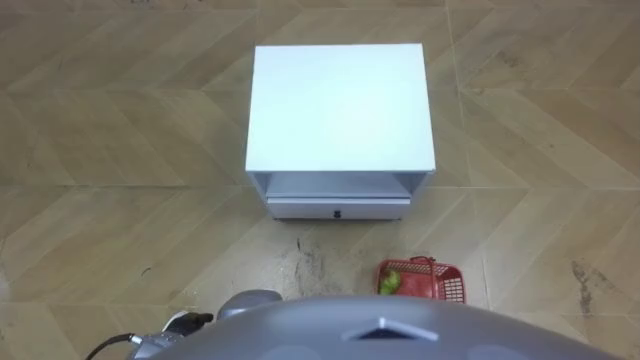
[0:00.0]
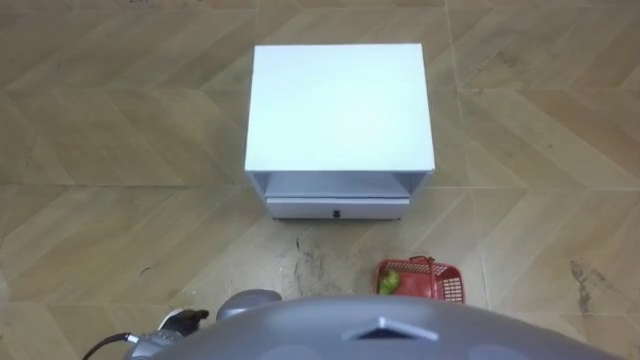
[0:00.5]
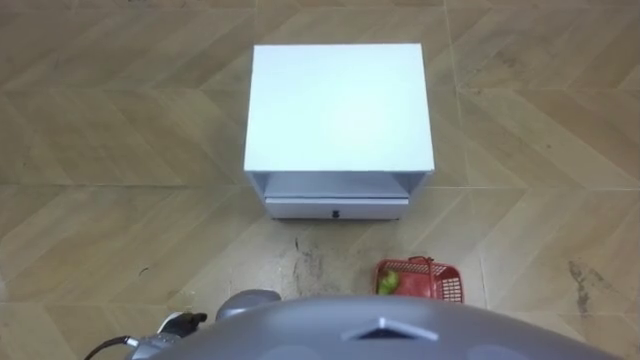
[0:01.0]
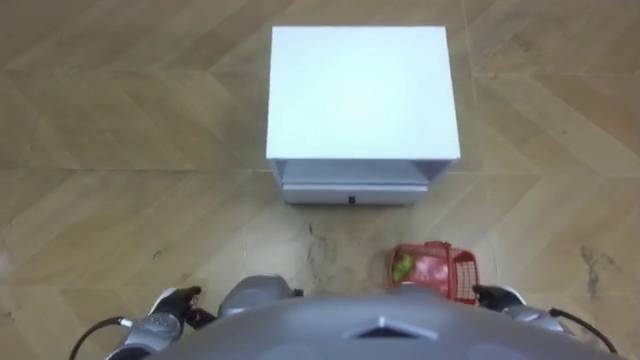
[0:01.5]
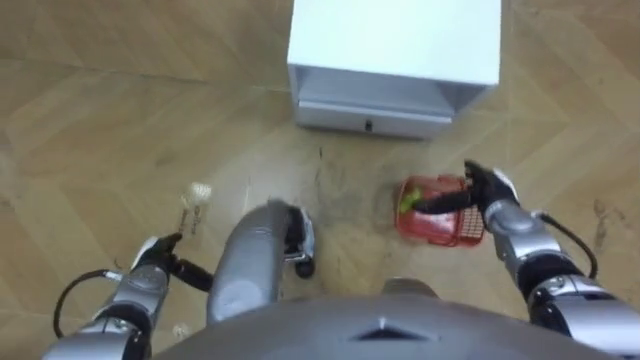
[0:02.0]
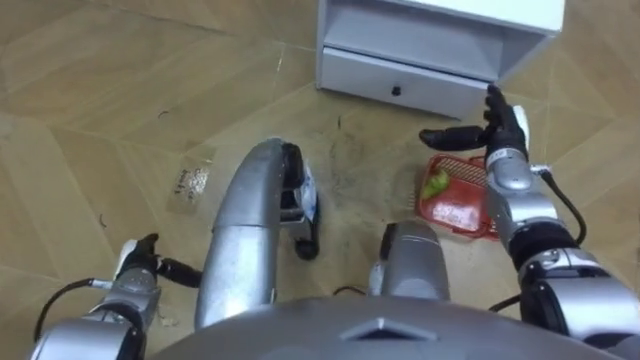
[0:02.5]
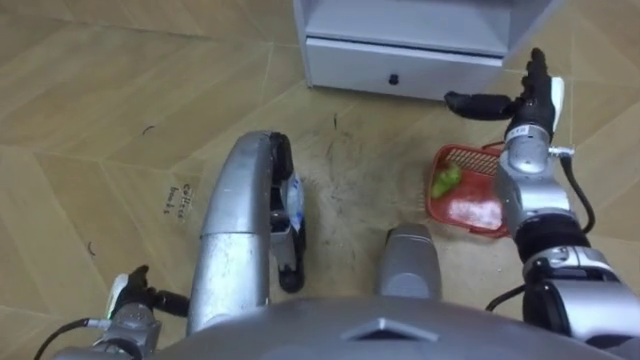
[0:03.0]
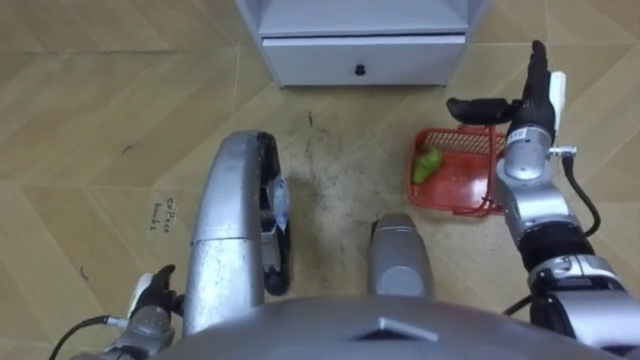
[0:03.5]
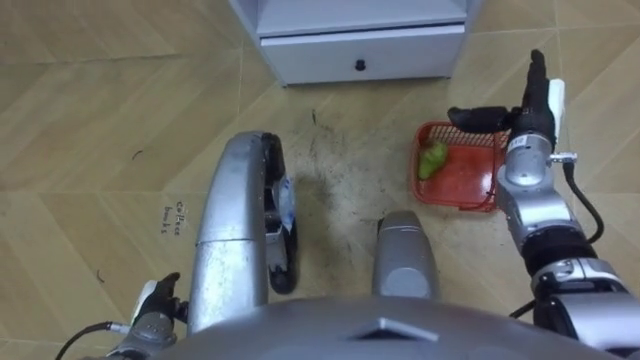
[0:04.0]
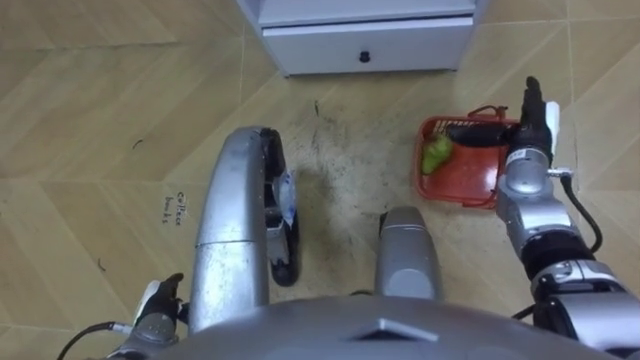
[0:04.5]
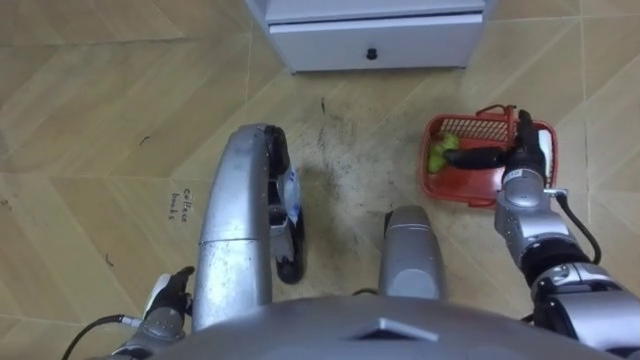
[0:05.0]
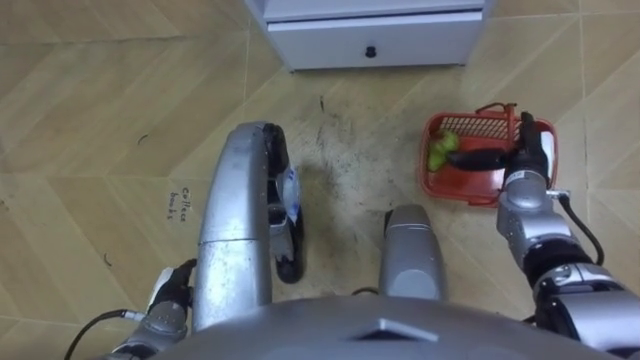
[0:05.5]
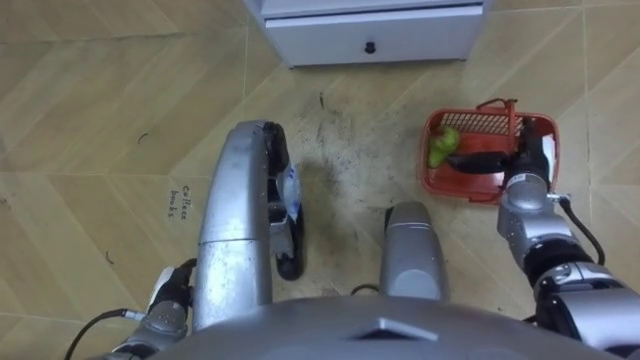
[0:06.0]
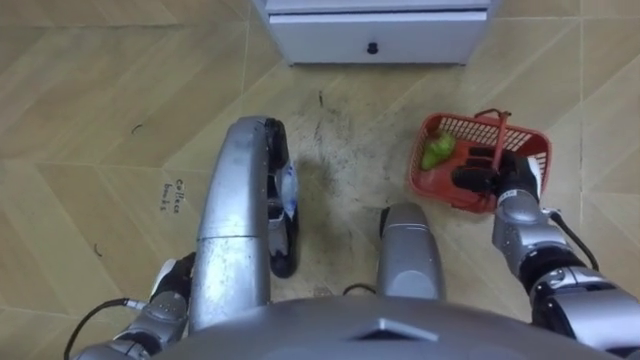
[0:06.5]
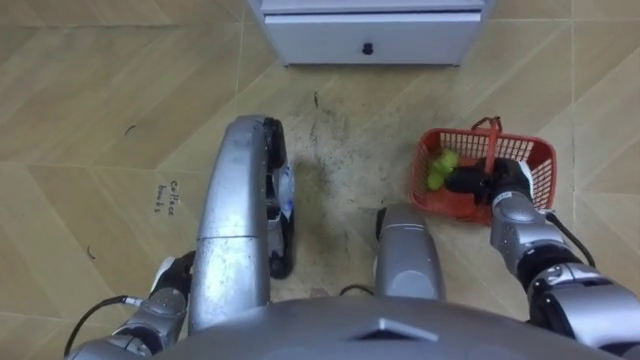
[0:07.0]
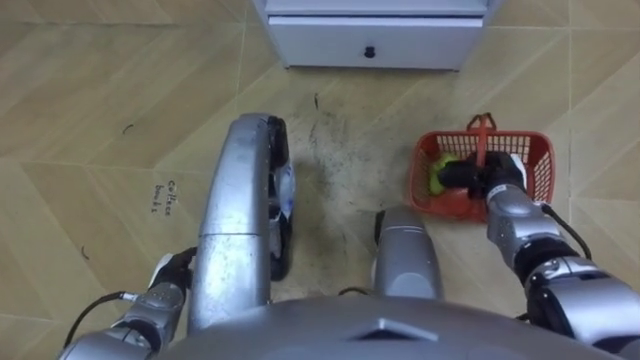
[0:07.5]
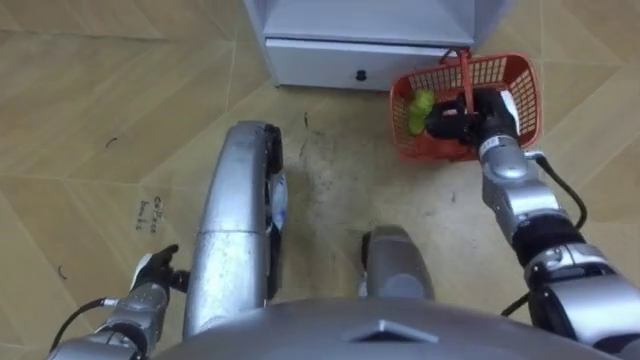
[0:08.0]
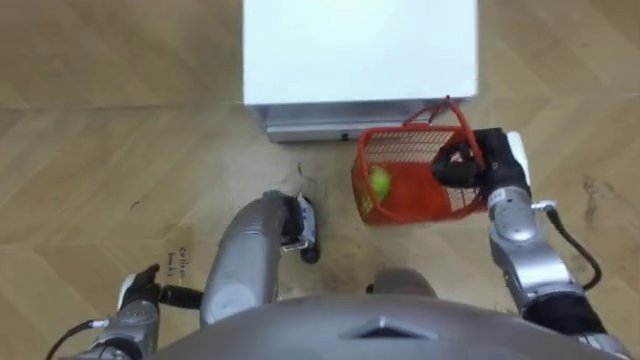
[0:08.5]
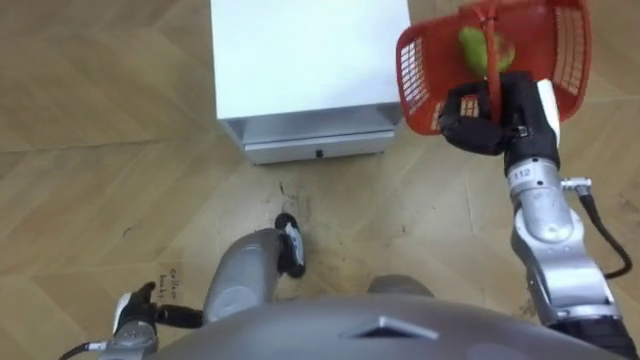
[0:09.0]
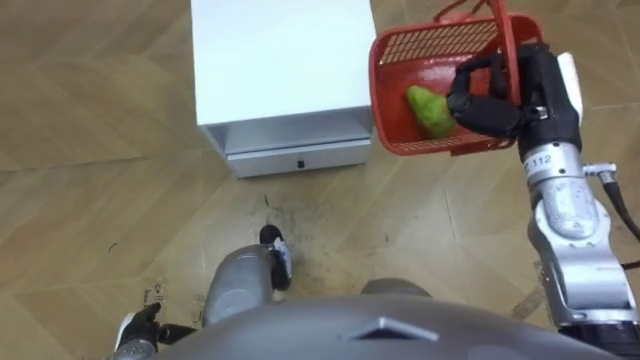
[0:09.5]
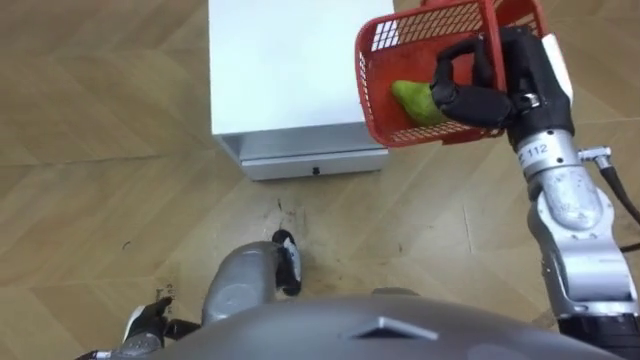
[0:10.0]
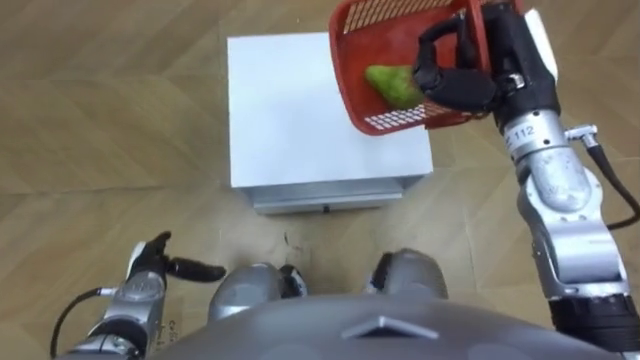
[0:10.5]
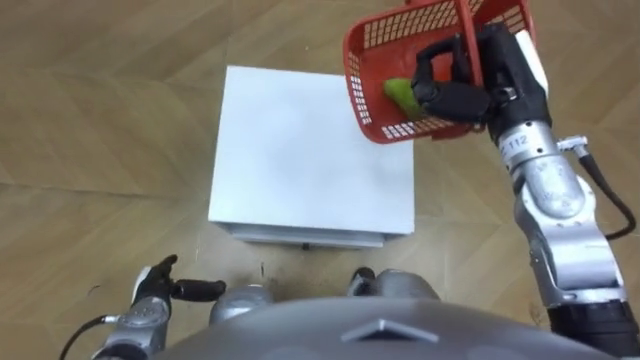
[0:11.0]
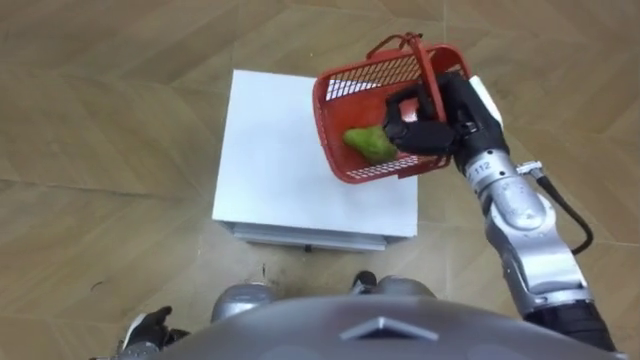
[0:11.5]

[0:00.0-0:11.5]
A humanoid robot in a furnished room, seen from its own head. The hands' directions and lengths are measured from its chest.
Task of the whole recording: Pick up the fruit basket from the floor and place it on the cabinet.
0:02.0 to 0:04.0: The right hand shifts about 15 cm upward and forward, while the left hand moves backward, roughly 5 cm.
0:04.0 to 0:06.0: The right hand shifts some 5 cm downward.
0:06.0 to 0:07.5: The right hand closes up.
0:07.5 to 0:09.5: The left hand goes some 10 cm backward, while the right hand travels upward by about 20 cm.
0:09.5 to 0:11.5: The right hand heads to the left, covering roughly 5 cm; the left hand travels forward and back again, some 10 cm each way.

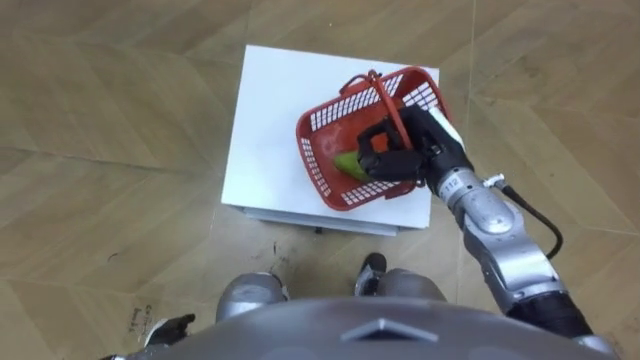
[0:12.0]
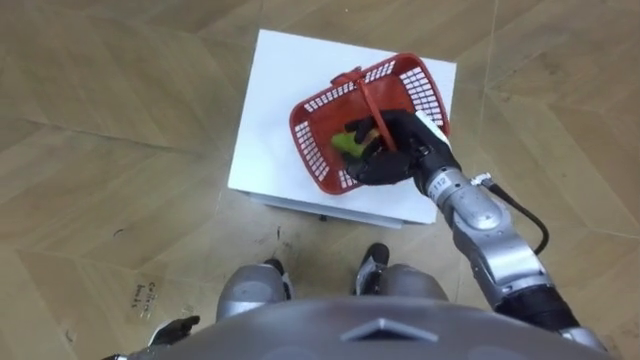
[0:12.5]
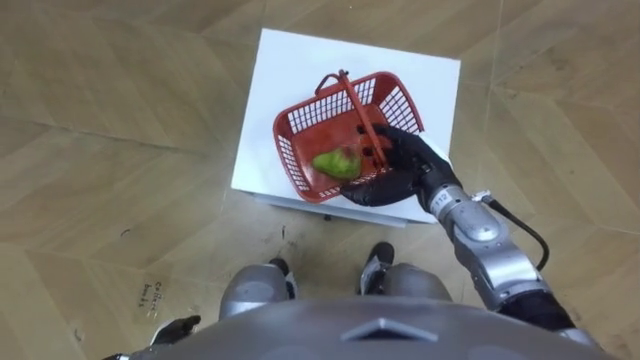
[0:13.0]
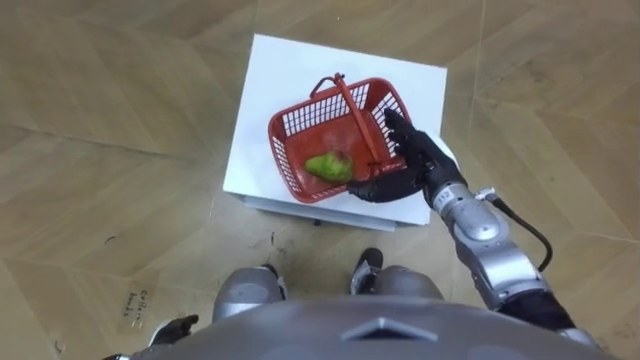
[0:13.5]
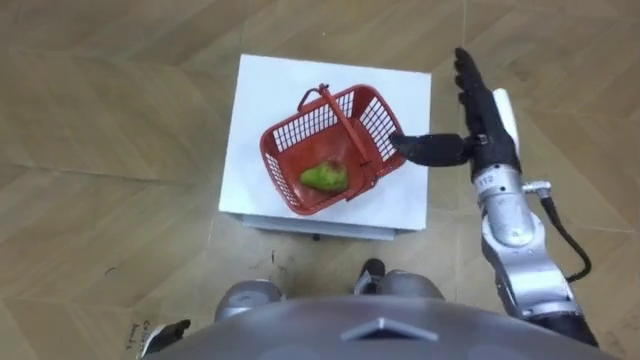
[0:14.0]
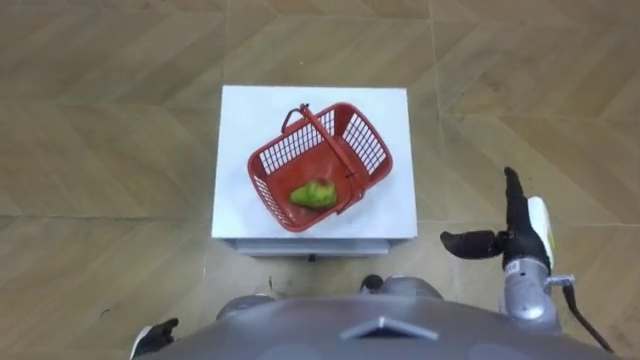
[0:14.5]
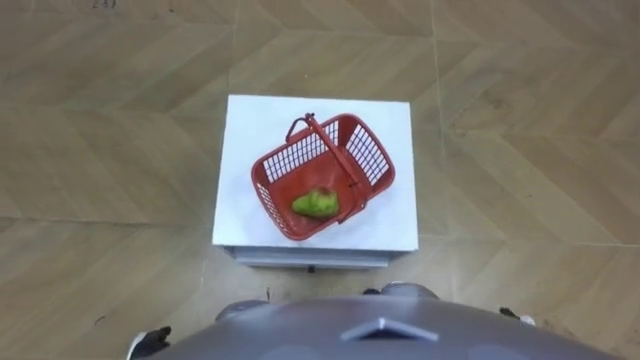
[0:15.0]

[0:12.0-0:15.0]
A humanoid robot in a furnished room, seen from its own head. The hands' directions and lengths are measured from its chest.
Task of the whole recording: Pick up the fruit basket from the floor and place it on the cabinet.
0:12.0 to 0:13.5: The right hand opens up.
0:13.5 to 0:15.0: The right hand goes approximately 30 cm backward, to the right and downward.

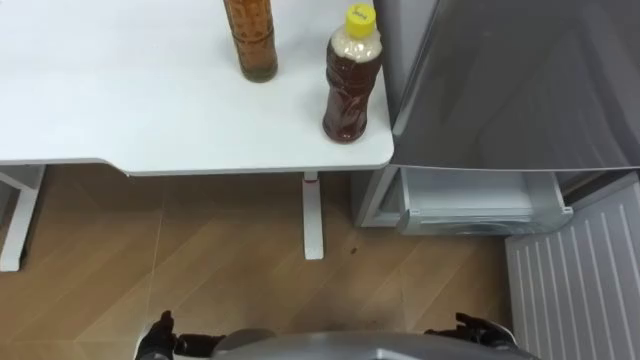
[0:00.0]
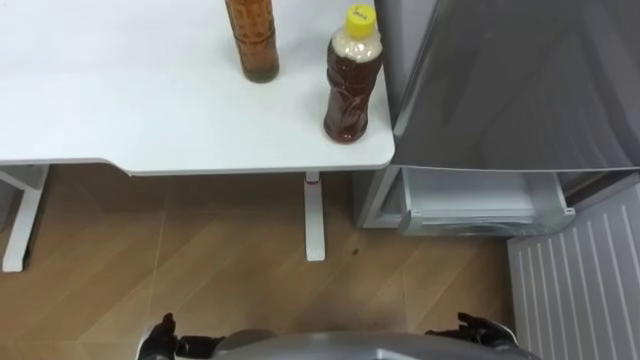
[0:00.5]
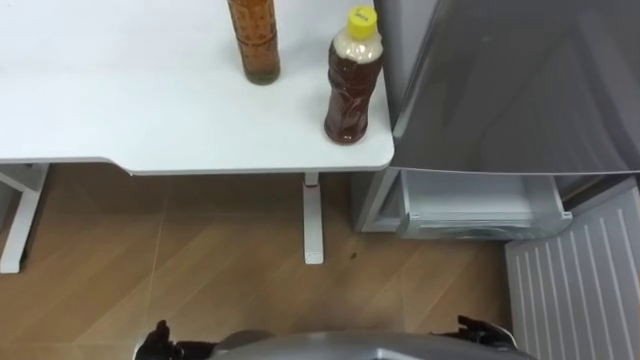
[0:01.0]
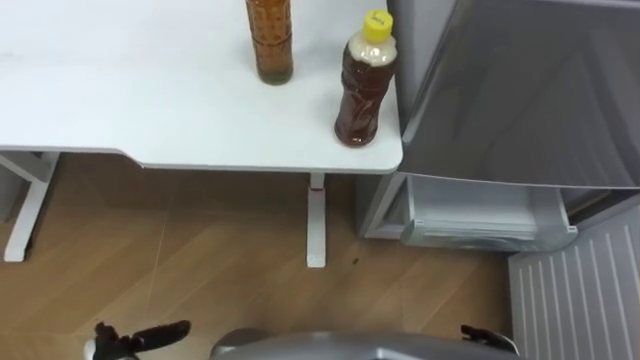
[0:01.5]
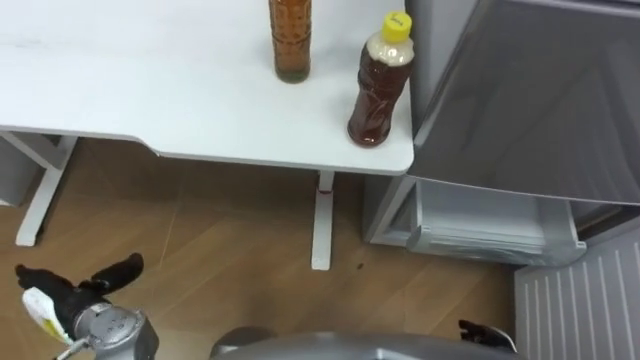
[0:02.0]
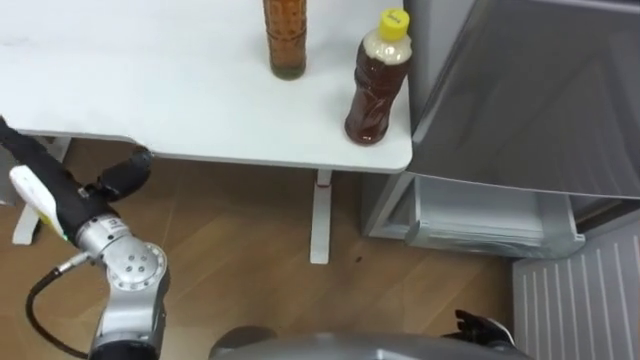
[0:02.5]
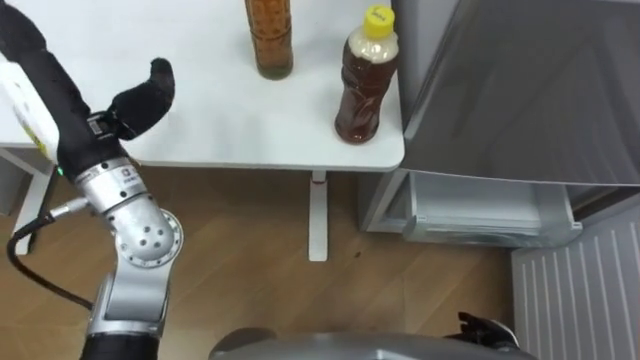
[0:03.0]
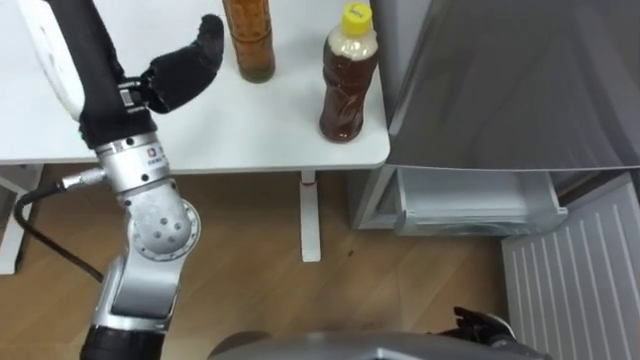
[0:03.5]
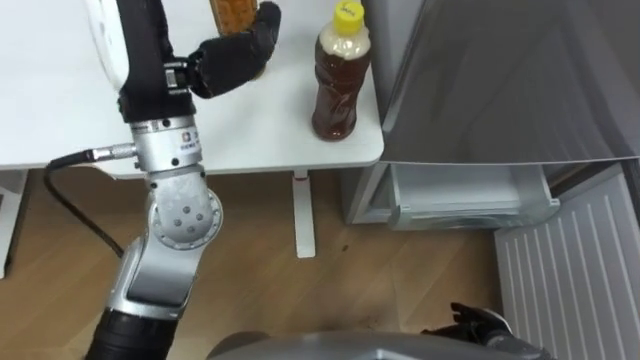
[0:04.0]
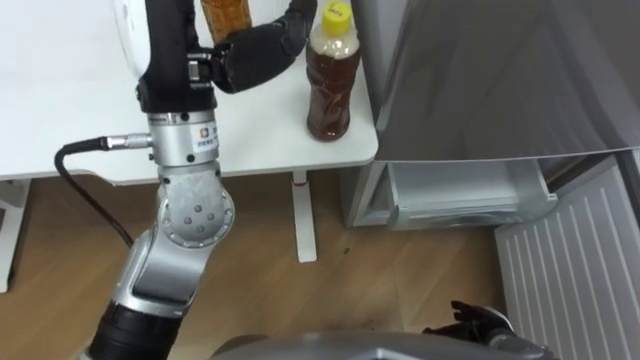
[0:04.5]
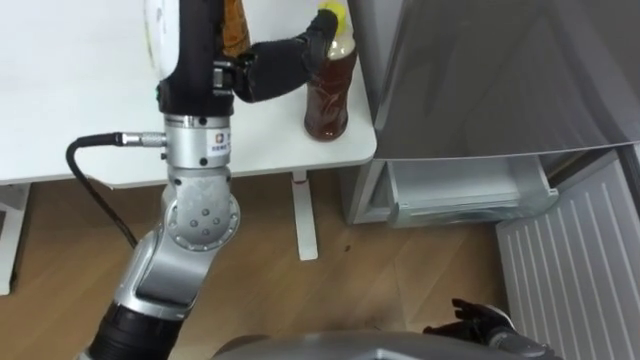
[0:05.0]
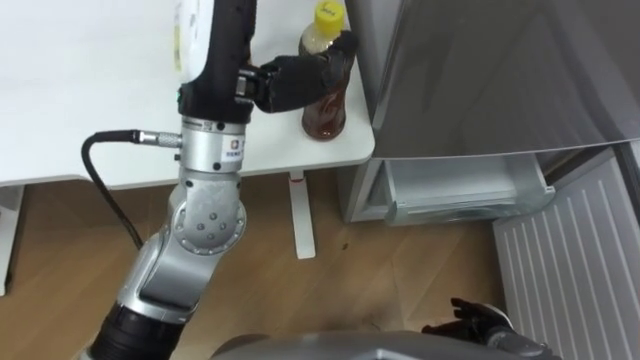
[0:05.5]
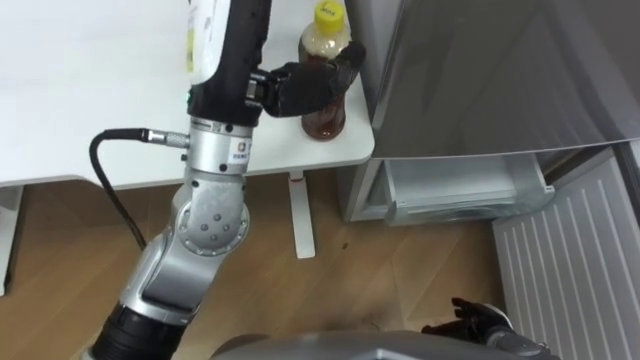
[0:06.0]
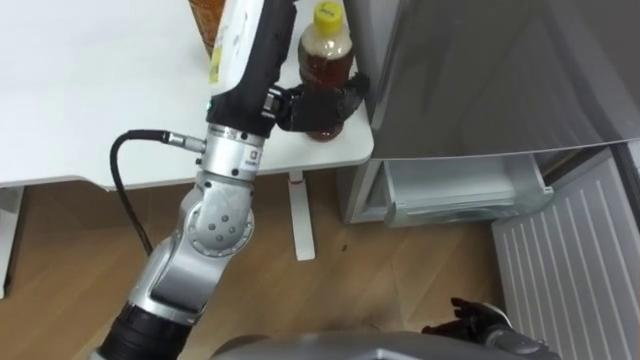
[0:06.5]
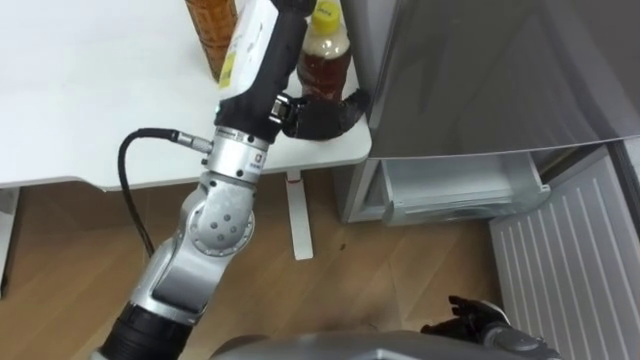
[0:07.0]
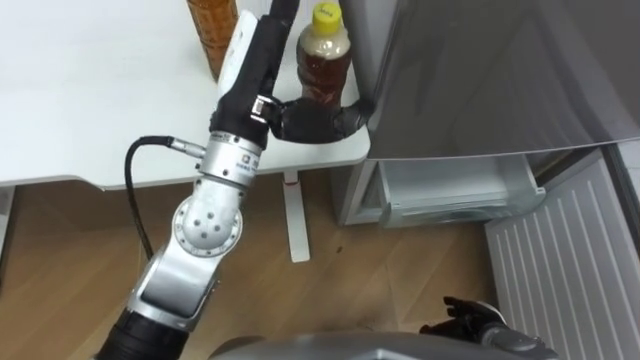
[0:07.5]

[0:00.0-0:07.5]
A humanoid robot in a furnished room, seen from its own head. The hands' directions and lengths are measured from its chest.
Task of the whole recording: Place the drink on the table on the bottom shelf of the refrigerator, then close the drawer and the refrigerator door.
0:02.0 to 0:04.0: The left hand shifts some 40 cm upward, to the right and forward.
0:04.0 to 0:05.5: The left hand goes some 5 cm to the right.
0:05.5 to 0:07.5: The left hand travels downward by roughly 5 cm.
